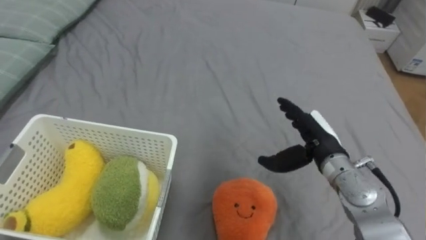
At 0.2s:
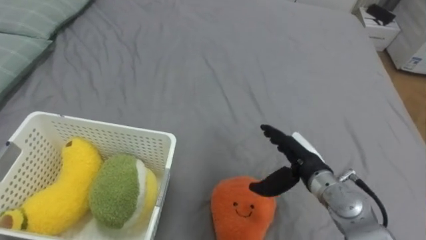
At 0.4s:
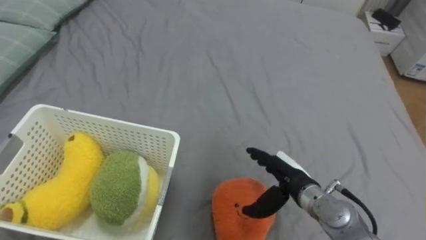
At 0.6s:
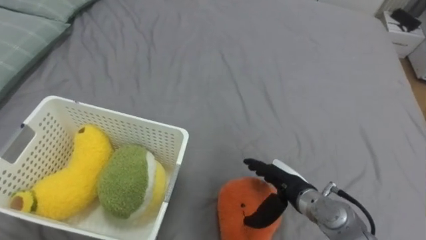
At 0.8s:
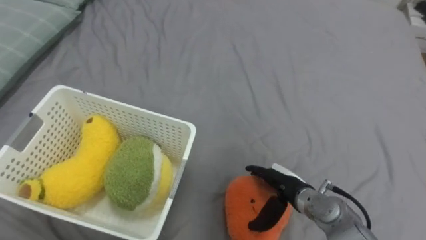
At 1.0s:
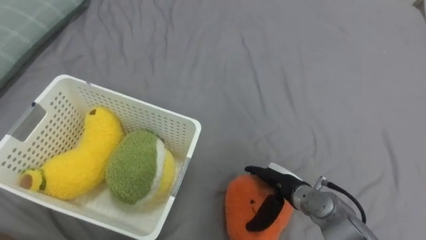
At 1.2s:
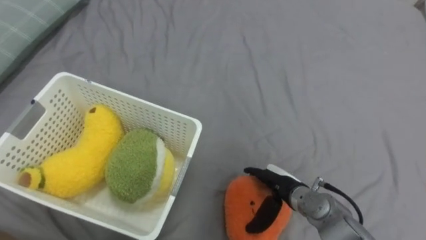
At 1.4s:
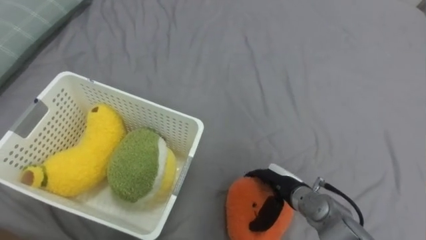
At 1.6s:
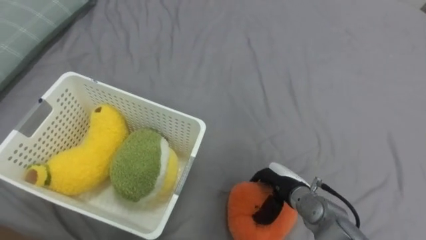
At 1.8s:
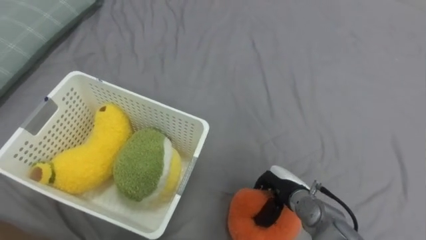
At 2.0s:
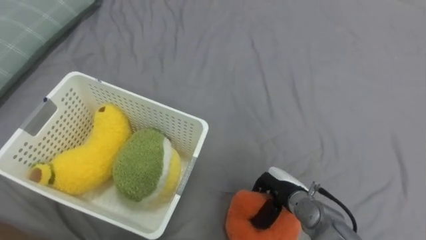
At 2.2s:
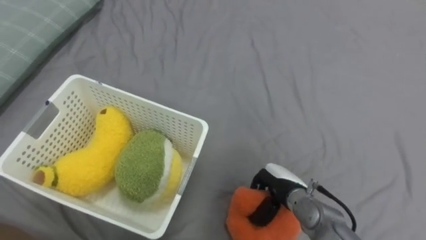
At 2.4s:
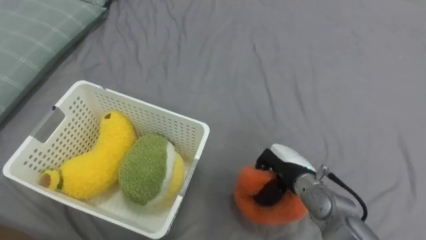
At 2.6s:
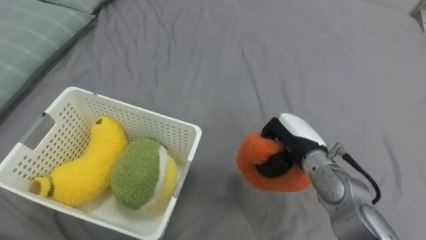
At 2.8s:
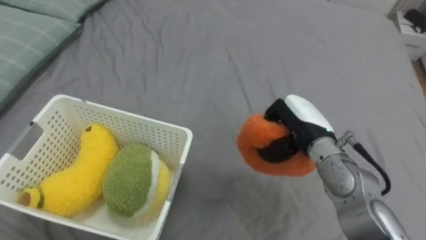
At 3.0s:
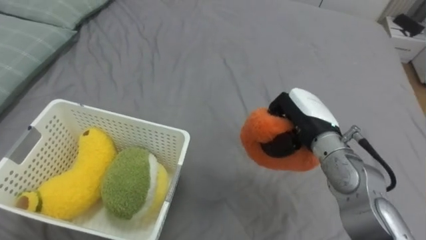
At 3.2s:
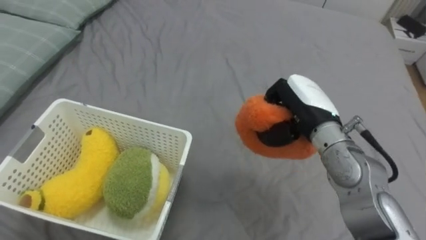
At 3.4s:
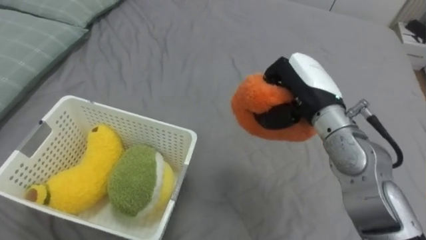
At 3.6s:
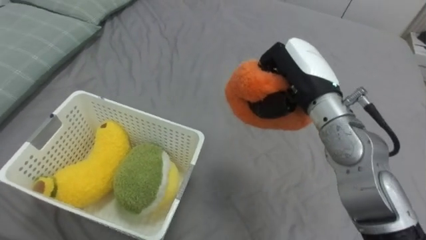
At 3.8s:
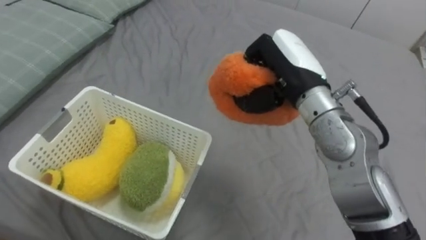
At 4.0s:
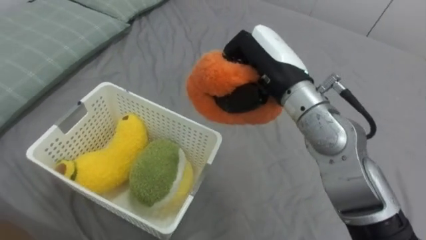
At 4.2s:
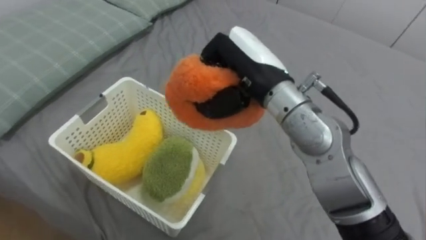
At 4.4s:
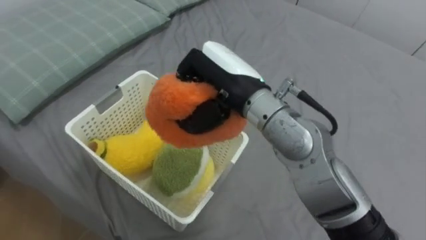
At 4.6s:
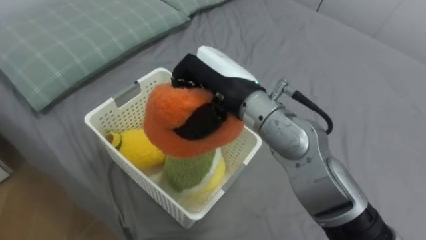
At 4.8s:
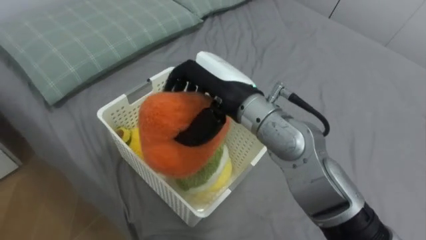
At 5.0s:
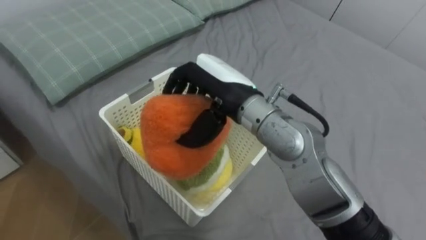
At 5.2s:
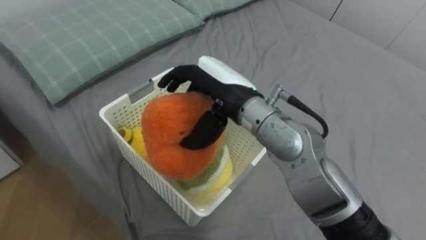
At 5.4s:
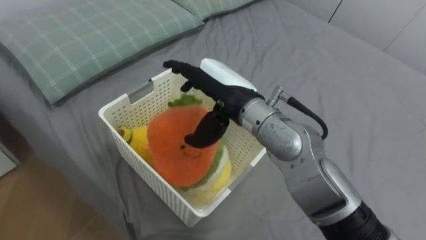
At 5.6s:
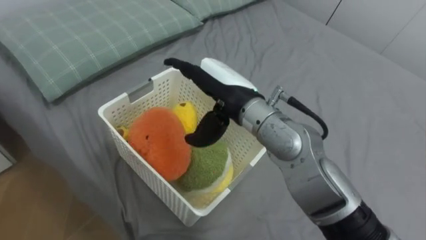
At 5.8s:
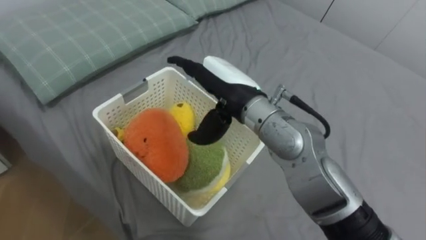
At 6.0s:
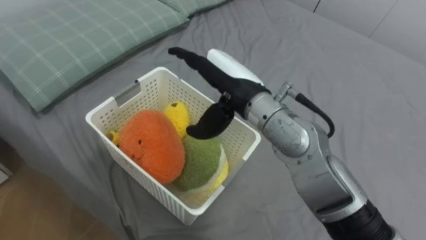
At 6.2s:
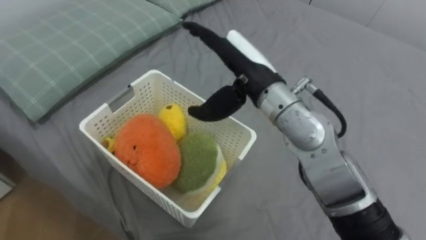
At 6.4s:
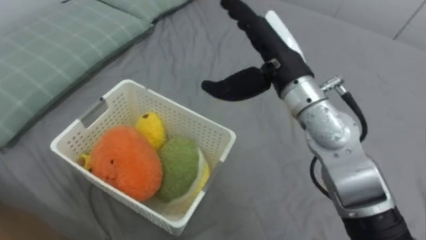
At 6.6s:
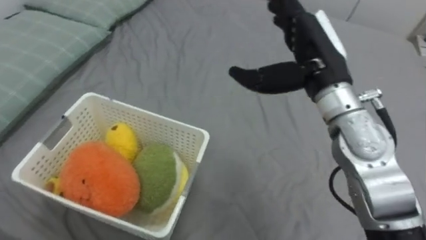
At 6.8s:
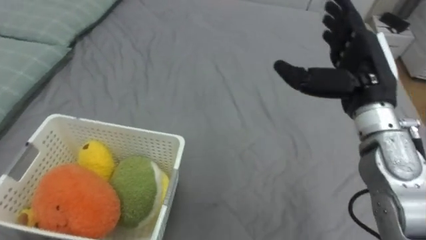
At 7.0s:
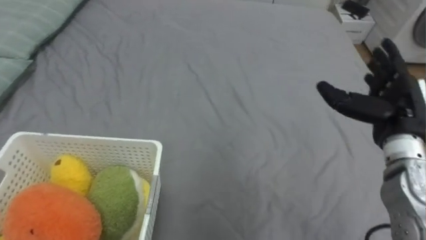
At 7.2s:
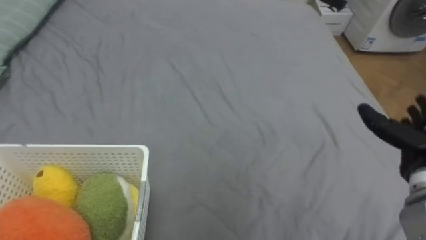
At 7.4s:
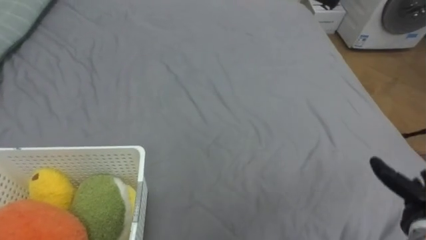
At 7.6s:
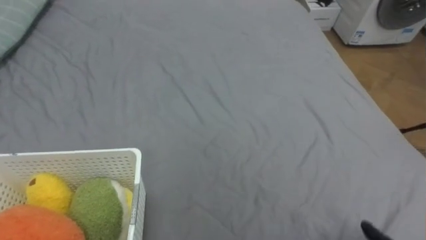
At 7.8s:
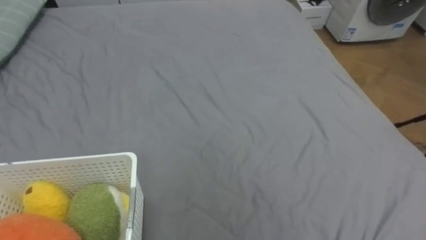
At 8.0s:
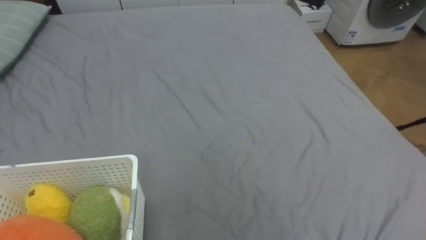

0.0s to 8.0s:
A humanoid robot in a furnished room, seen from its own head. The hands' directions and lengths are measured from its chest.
Task of the whole recording: Put the toys on the bed into the basket on the left.
0.0s to 1.6s: The right hand moves downward, some 15 cm.
1.6s to 3.2s: The right hand moves upward, about 20 cm, and closes its fingers.
3.2s to 4.8s: The right hand heads to the left and upward, covering some 15 cm.
4.8s to 6.4s: The right hand is displaced to the right by approximately 5 cm, and opens up.

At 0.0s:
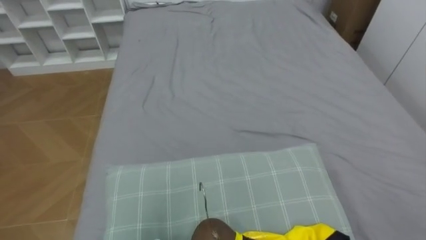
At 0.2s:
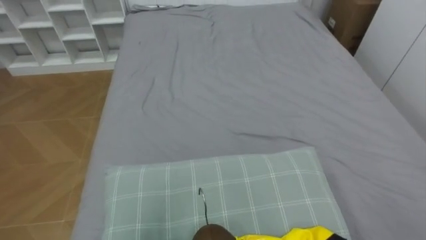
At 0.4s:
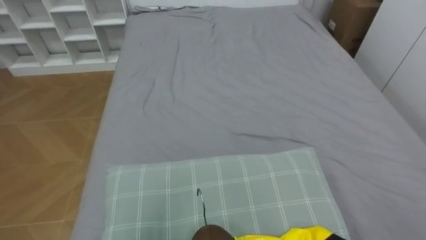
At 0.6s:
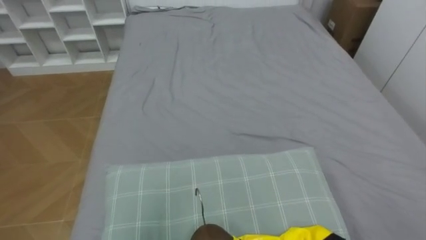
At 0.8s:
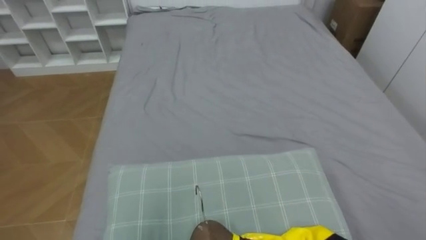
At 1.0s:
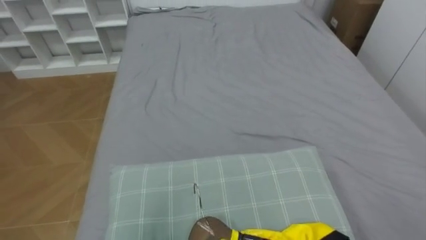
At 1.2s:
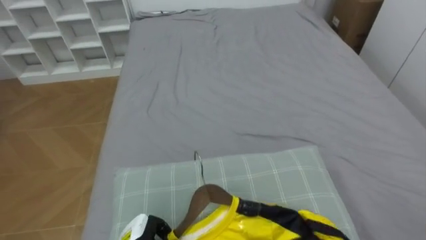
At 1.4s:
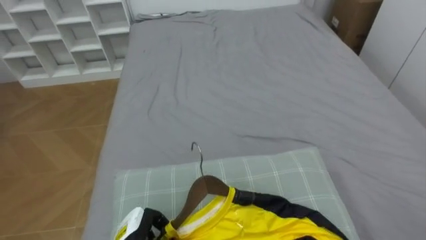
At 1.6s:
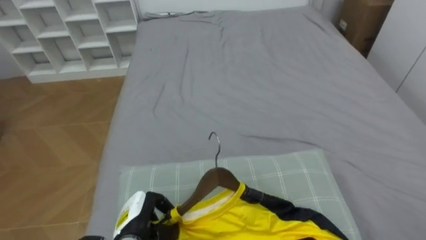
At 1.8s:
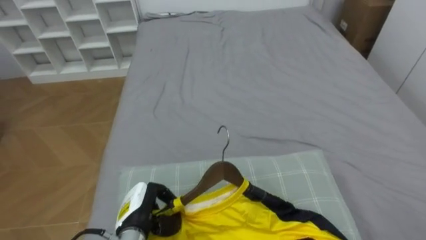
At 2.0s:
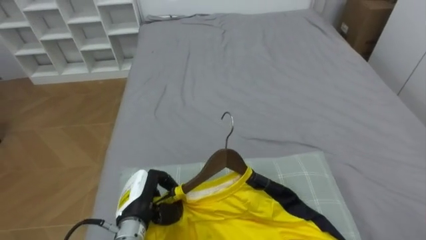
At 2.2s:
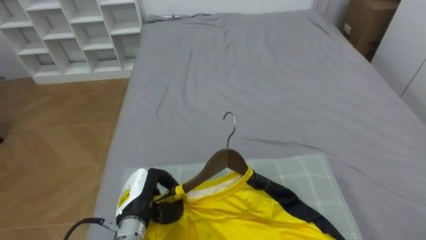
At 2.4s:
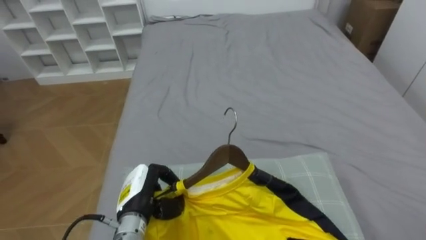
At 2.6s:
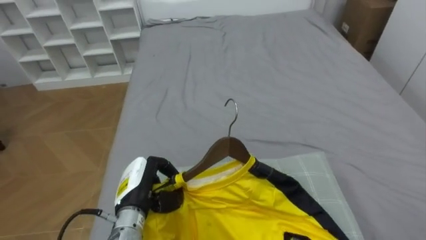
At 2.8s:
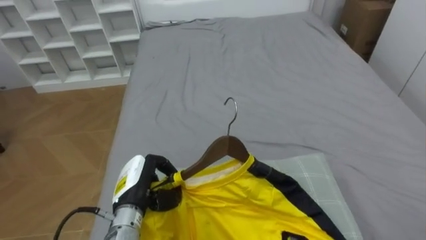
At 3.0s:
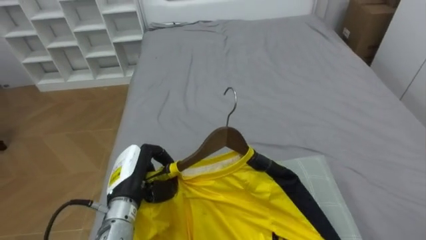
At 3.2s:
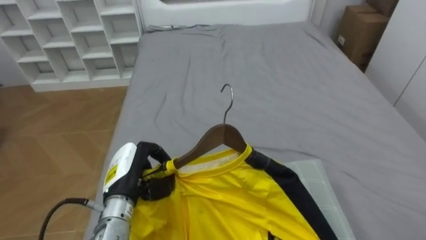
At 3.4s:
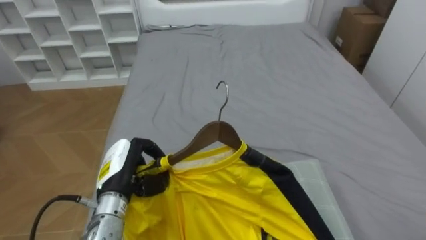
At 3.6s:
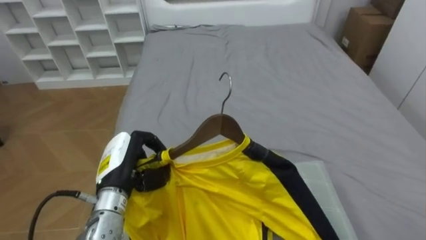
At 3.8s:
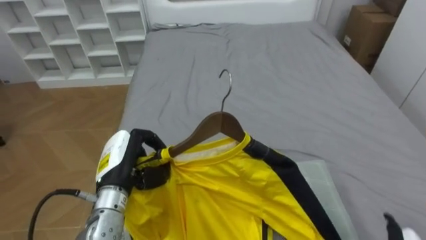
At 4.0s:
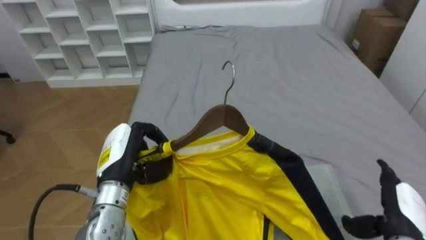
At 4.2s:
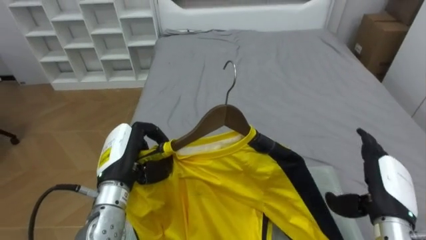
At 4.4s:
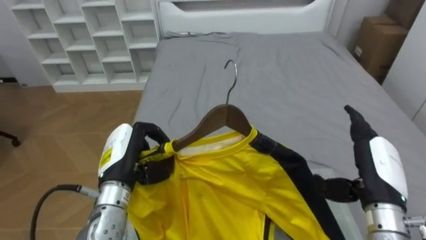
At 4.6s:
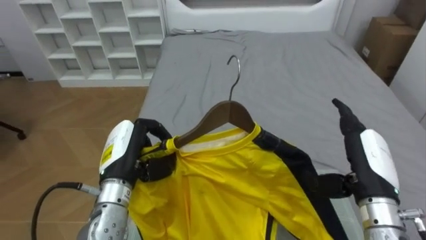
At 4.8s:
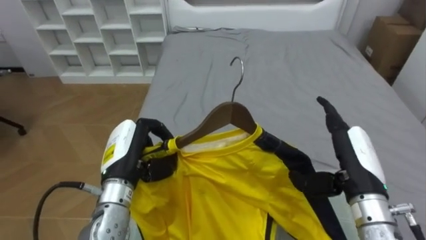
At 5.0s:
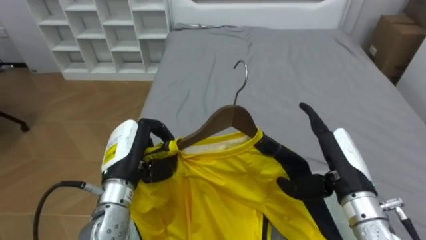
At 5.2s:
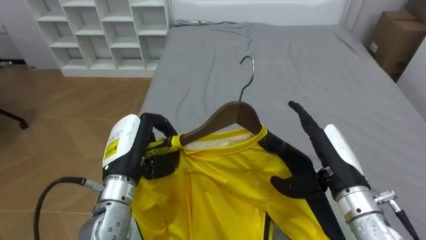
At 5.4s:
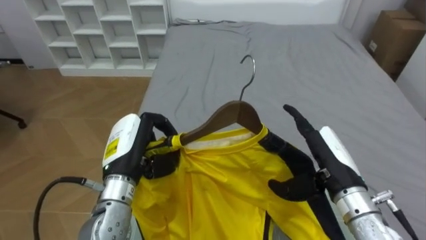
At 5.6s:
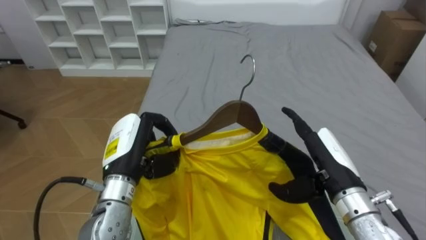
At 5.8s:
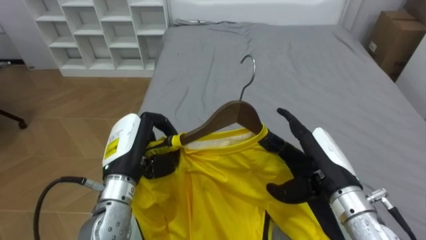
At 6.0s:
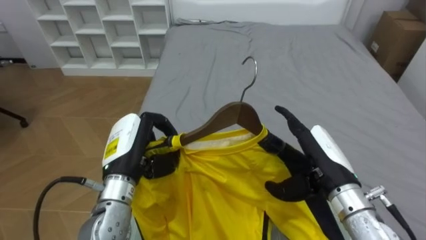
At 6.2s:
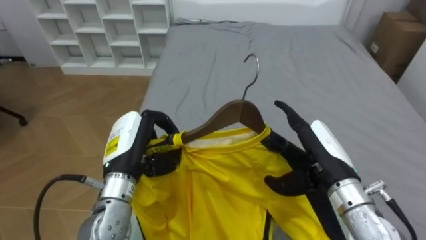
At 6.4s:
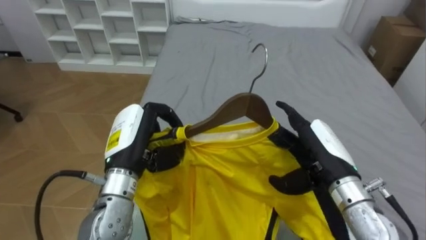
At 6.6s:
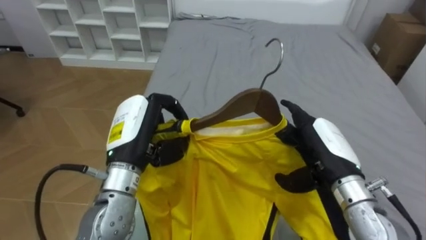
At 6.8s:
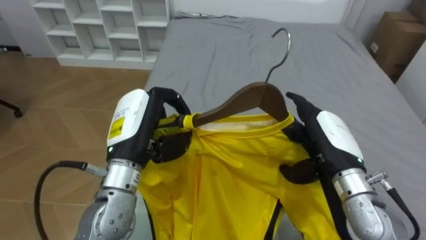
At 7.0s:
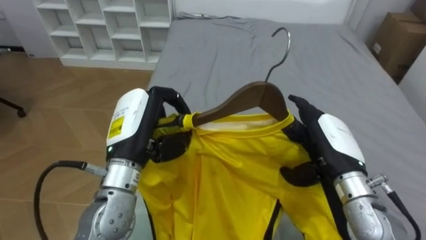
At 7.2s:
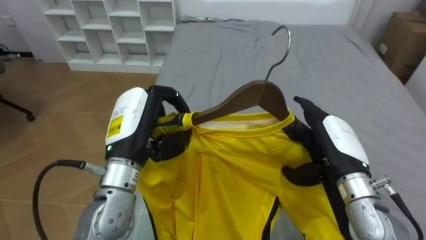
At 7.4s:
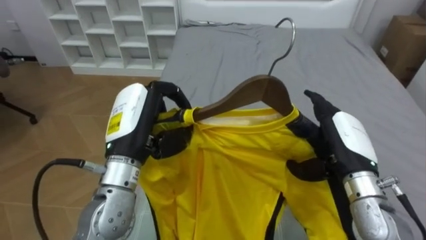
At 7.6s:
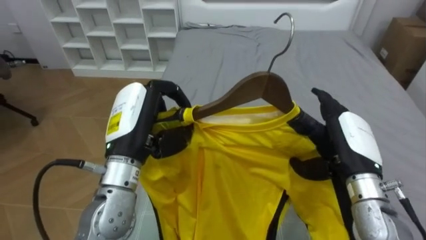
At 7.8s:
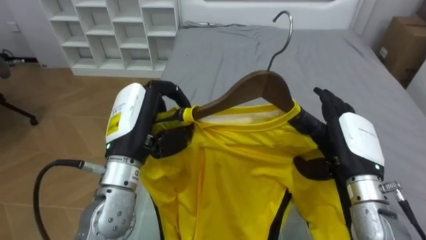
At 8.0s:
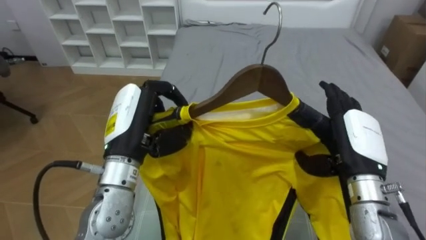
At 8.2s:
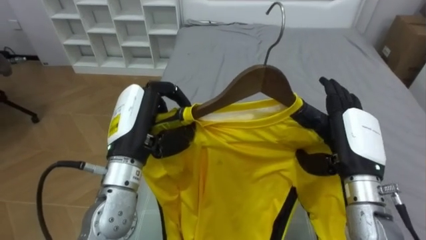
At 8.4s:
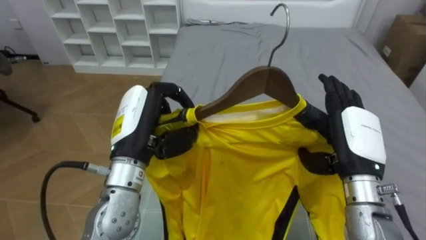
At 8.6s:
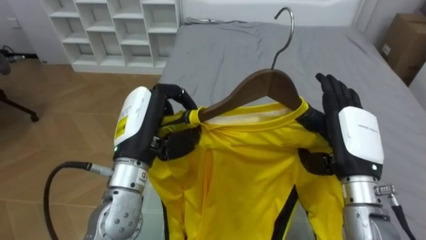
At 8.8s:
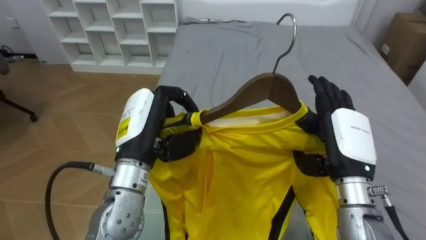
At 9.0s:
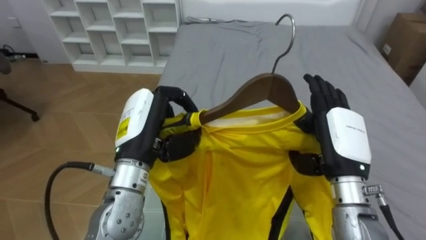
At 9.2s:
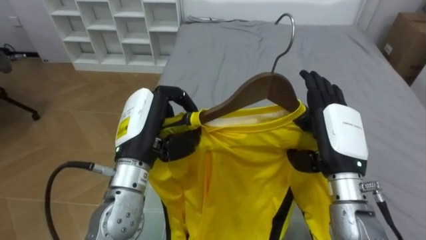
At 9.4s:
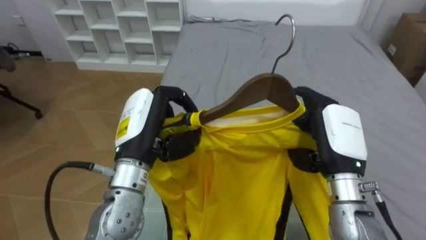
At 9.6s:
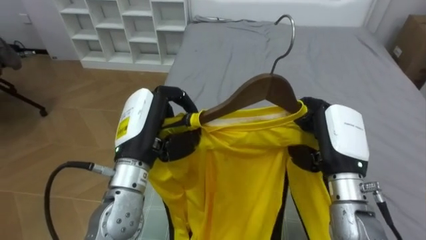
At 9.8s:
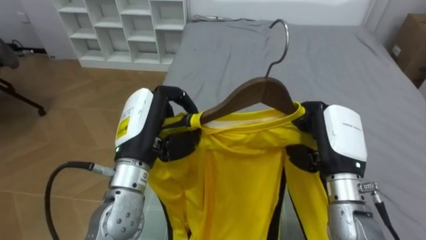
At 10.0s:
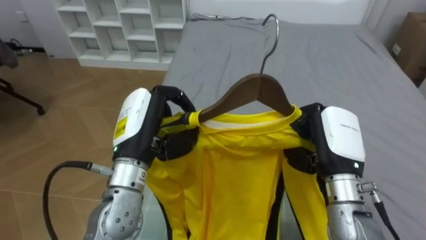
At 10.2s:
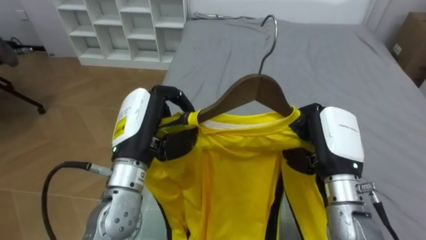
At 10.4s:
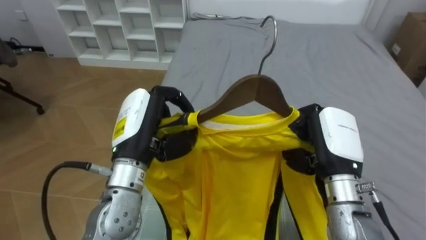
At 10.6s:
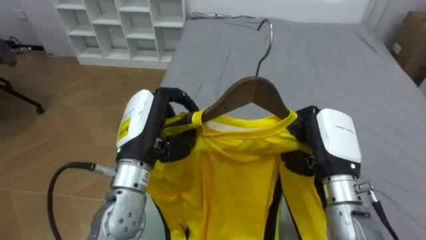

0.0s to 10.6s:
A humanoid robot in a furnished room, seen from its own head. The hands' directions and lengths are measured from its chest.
Task of the whole recording: Pick up the yellow shirt on the bed and hang it on the clothes rack on the right.
1.6s to 3.0s: The left hand is displaced upward by approximately 10 cm.
3.0s to 4.6s: The left hand goes approximately 5 cm upward.
4.6s to 6.0s: The right hand is displaced to the left by some 5 cm.
6.0s to 7.6s: The left hand heads upward, covering approximately 5 cm; the right hand changes place by approximately 5 cm.
9.0s to 10.6s: The right hand closes up.
